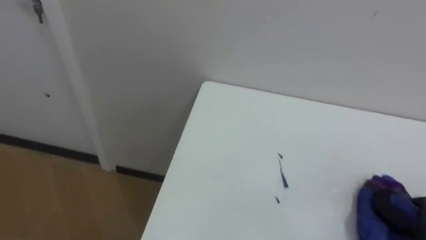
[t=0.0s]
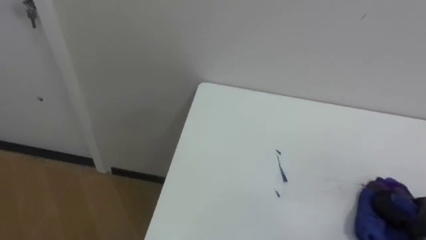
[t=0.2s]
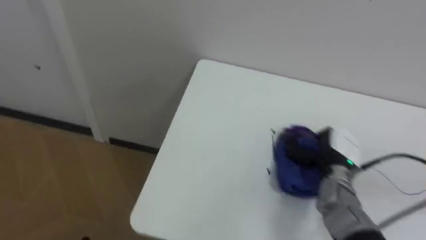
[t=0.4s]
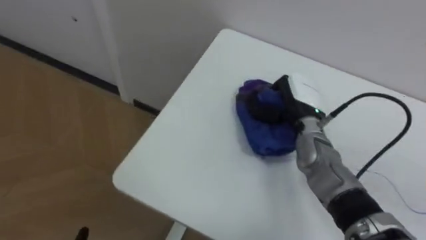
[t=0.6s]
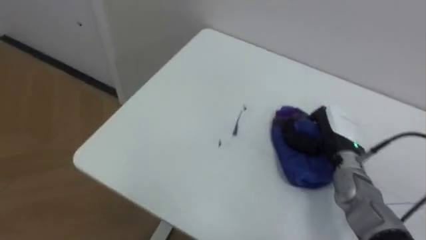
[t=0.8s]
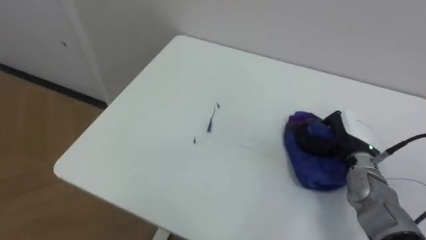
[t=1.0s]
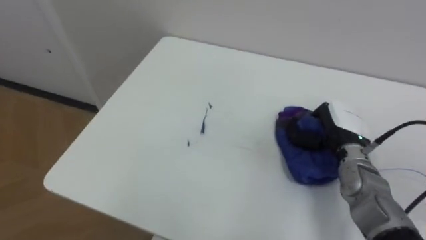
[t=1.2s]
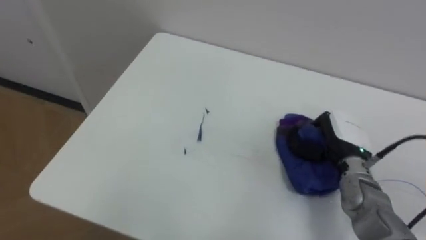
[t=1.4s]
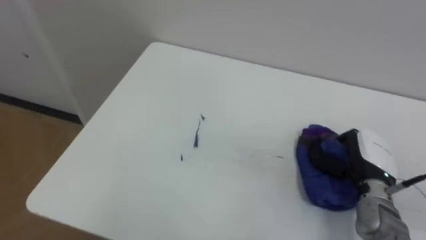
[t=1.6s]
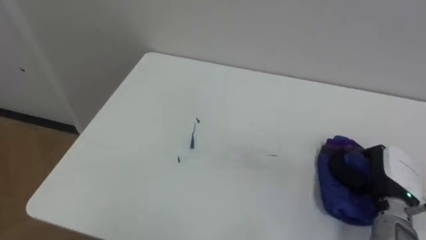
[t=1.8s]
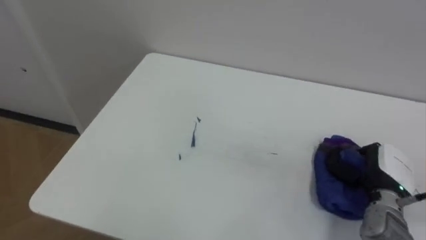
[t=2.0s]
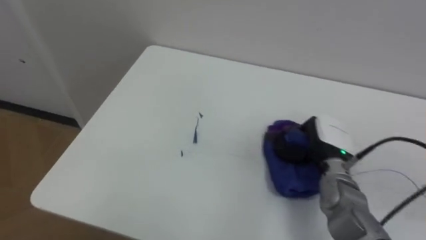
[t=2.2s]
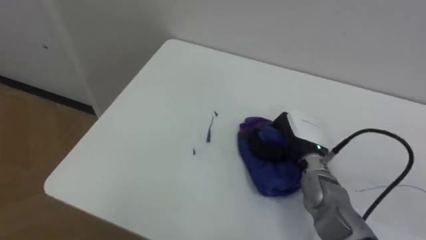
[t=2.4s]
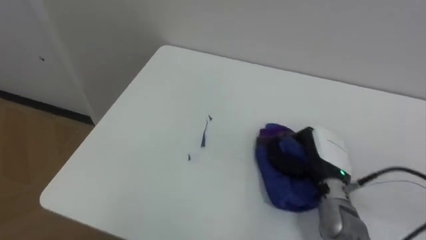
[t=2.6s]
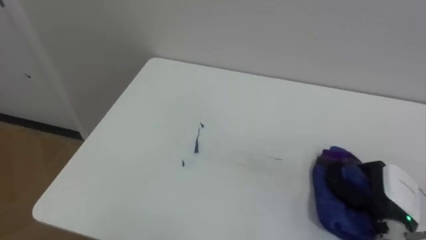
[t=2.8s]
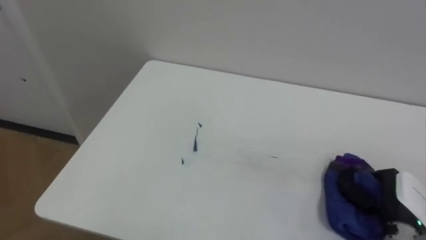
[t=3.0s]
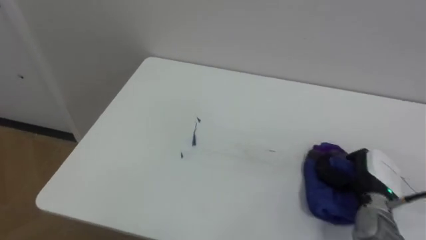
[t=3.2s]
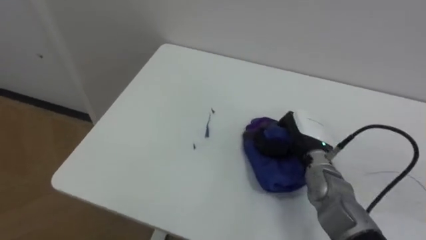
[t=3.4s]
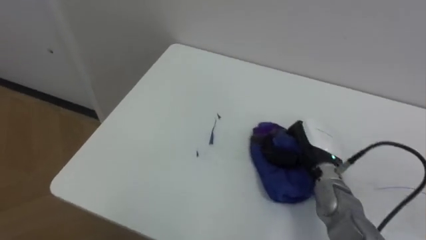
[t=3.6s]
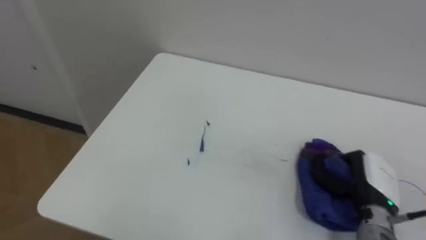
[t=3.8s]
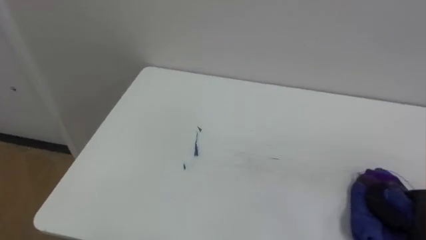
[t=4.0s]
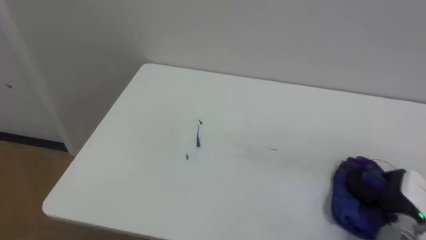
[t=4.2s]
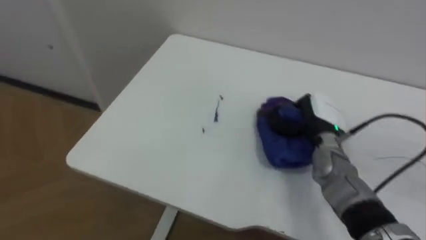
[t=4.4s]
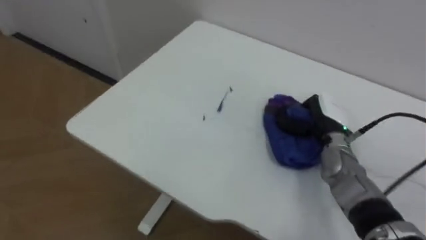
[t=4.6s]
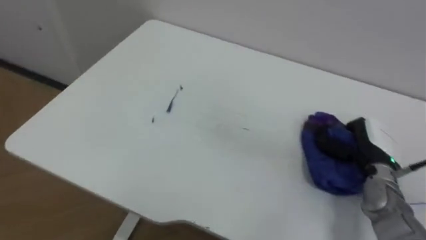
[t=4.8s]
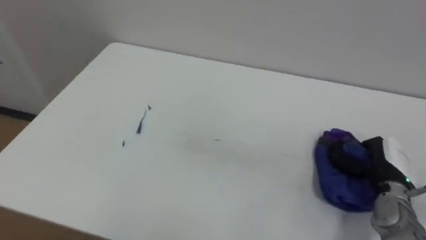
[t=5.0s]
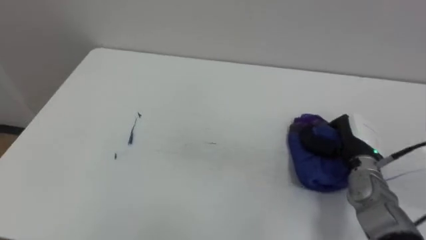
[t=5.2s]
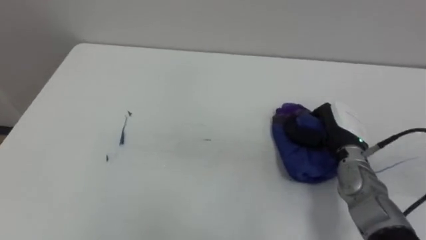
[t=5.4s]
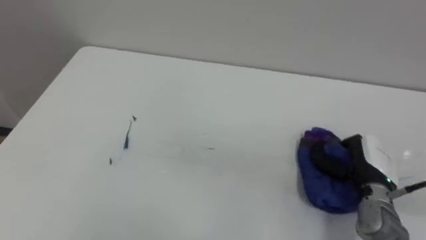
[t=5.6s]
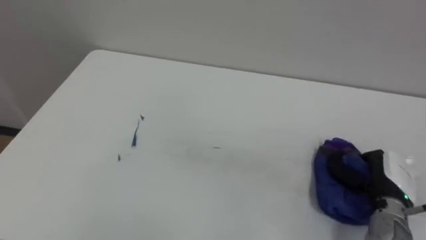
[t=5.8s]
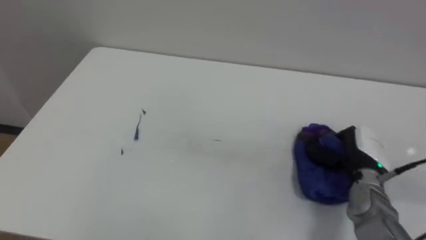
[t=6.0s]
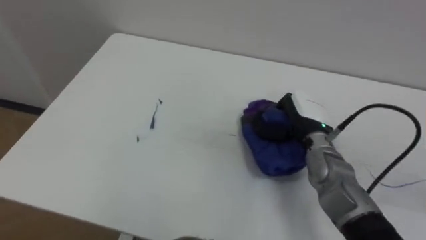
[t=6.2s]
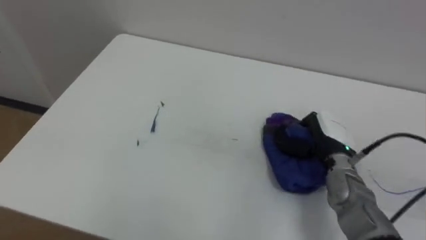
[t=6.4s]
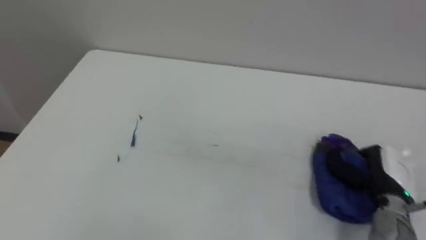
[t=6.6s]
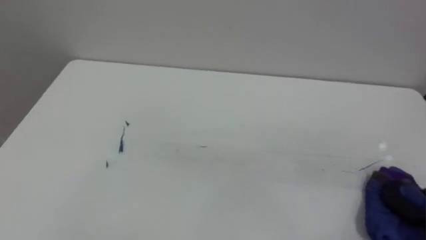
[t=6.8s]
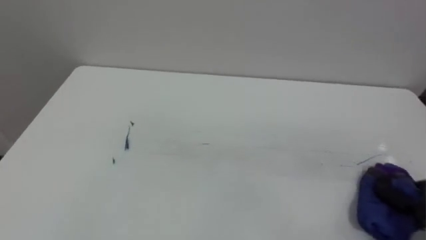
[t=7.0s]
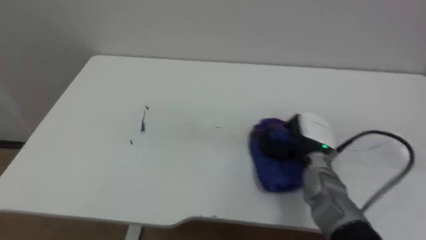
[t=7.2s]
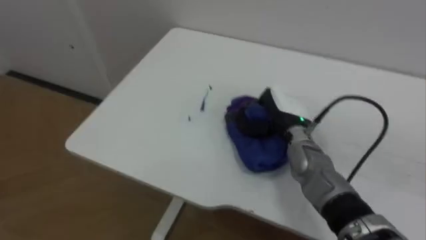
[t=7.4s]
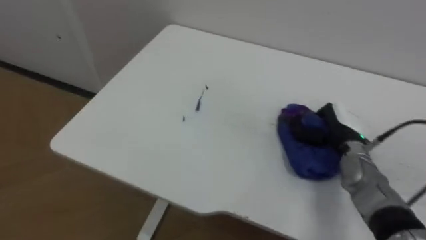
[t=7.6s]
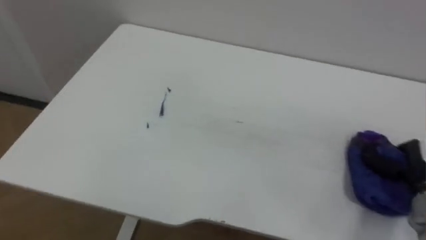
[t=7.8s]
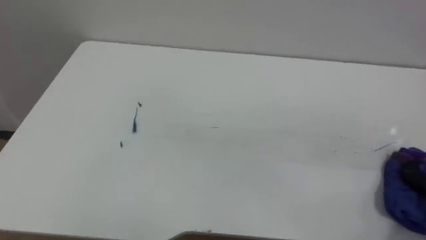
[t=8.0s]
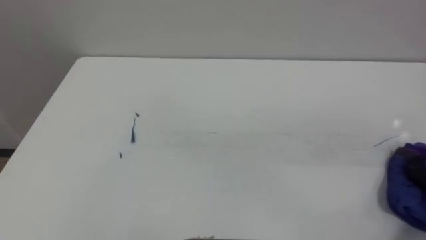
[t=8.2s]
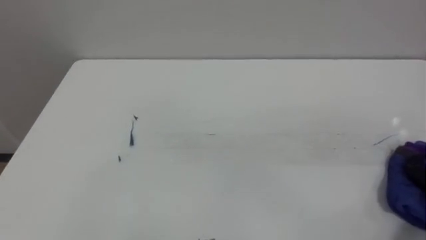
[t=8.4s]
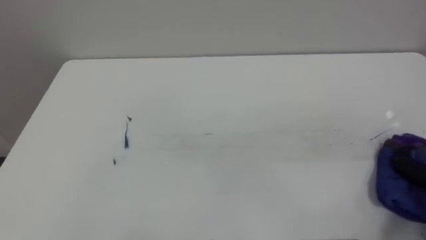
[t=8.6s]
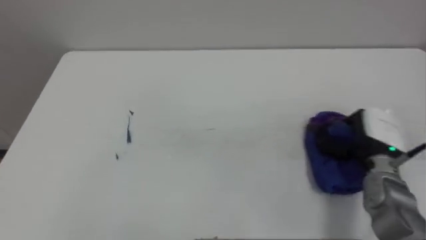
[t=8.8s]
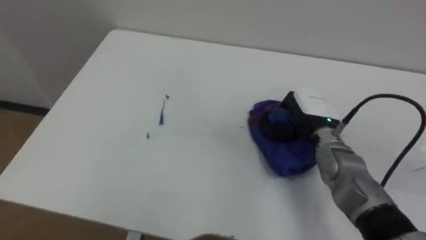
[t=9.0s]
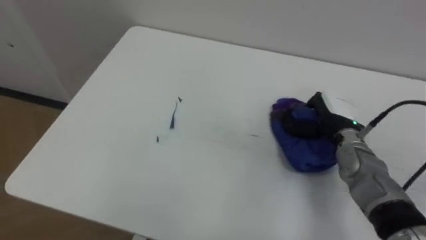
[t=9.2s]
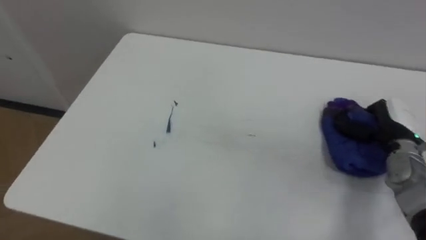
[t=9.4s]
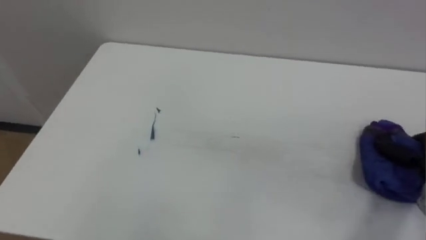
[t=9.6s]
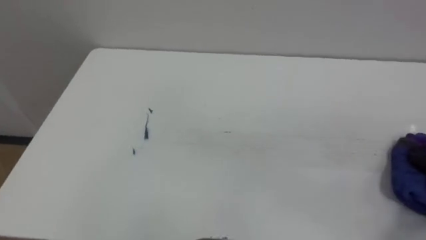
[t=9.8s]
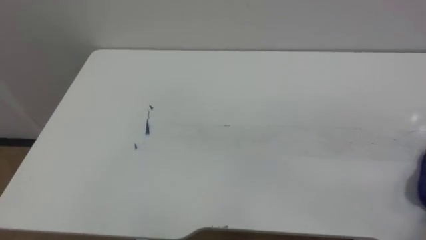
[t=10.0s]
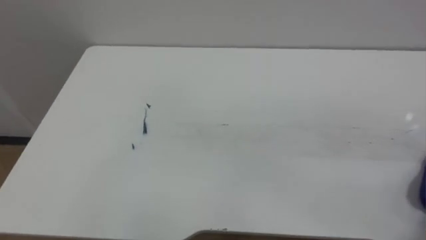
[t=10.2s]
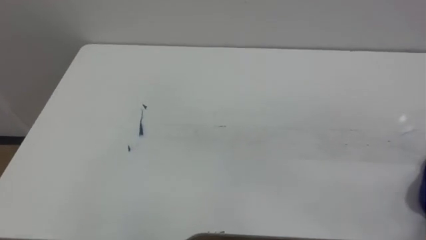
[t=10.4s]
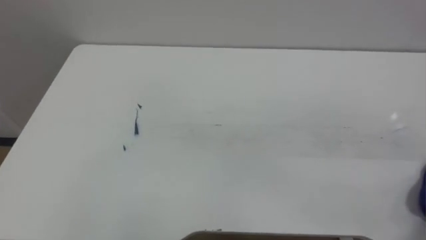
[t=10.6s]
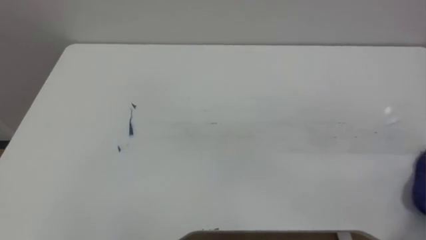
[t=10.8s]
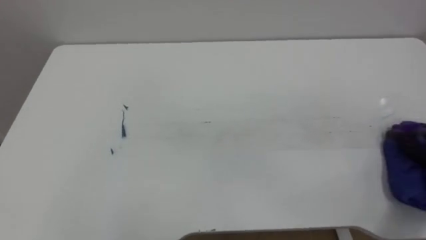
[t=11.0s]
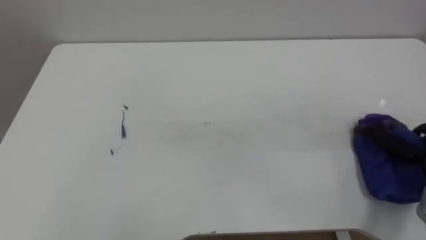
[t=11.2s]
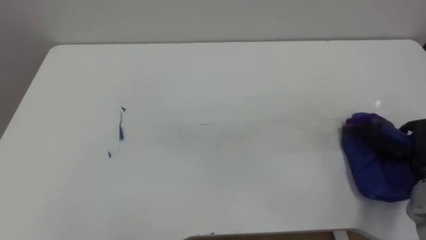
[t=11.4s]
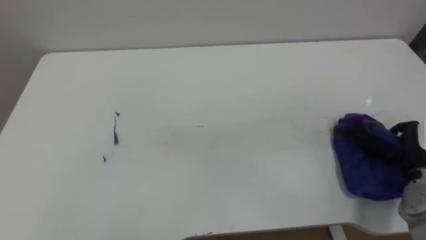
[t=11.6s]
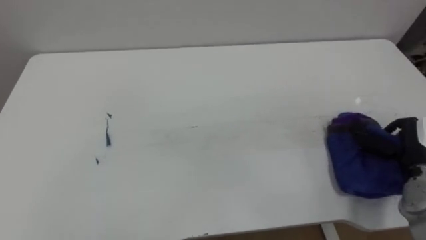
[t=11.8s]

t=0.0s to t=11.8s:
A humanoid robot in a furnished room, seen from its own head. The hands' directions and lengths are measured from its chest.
Task of the whole recording: Wipe the blue pen marks off the table with the rag.
t=1.4s to t=3.0s: The right hand moves left and right over approximately 15 cm, changing direction 2 times.
t=3.0s to t=4.4s: The right hand goes forward and backward, some 20 cm each way, reversing 2 times.
t=4.4s to t=6.0s: The right hand moves forward and backward over approximately 15 cm, changing direction 3 times.

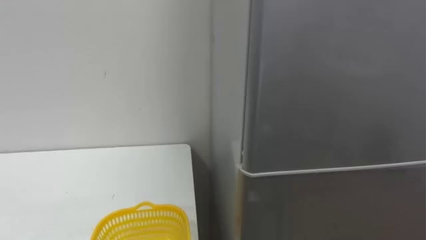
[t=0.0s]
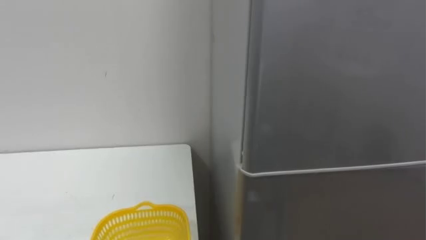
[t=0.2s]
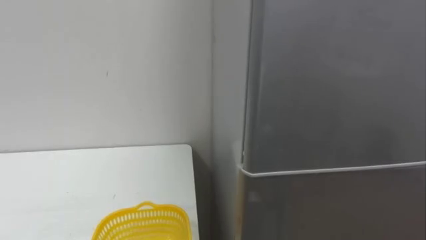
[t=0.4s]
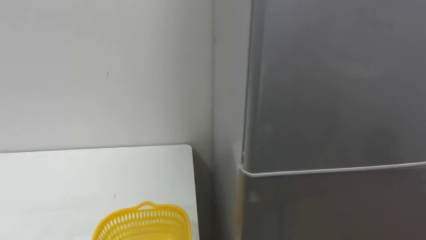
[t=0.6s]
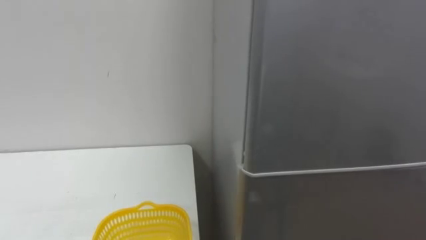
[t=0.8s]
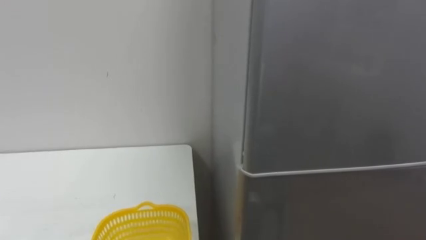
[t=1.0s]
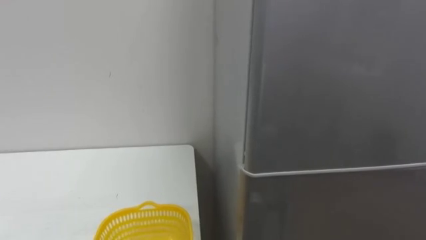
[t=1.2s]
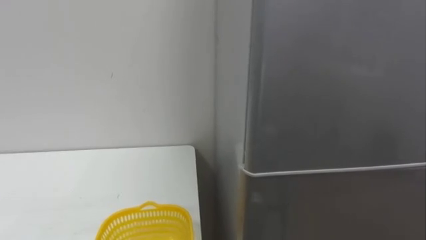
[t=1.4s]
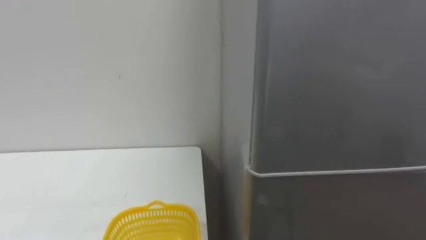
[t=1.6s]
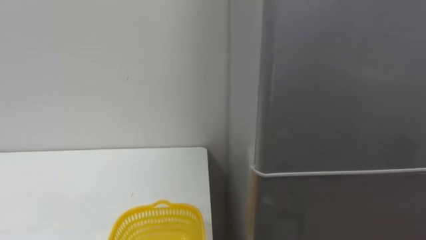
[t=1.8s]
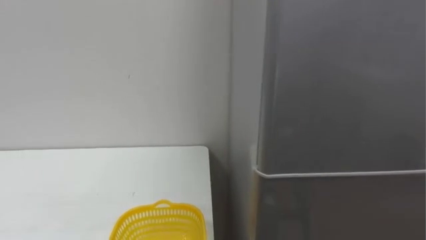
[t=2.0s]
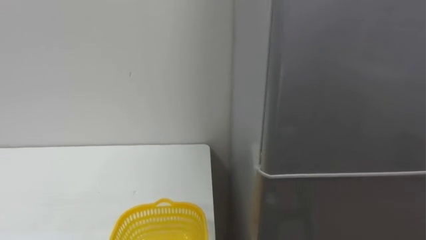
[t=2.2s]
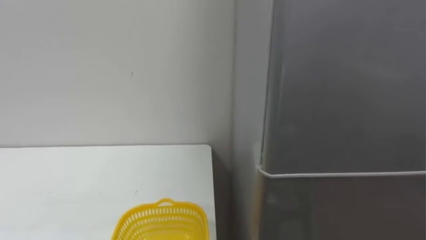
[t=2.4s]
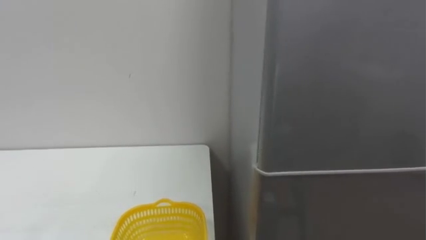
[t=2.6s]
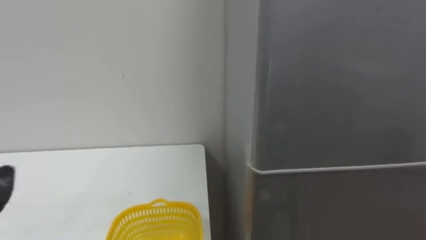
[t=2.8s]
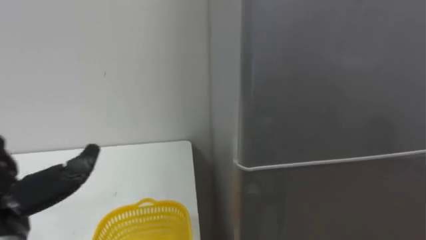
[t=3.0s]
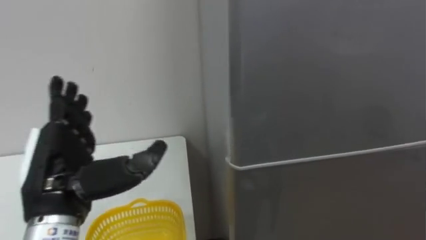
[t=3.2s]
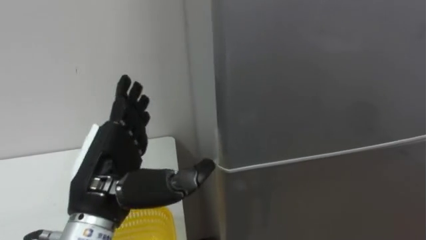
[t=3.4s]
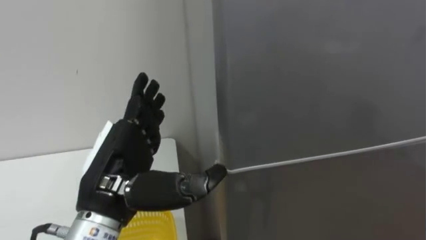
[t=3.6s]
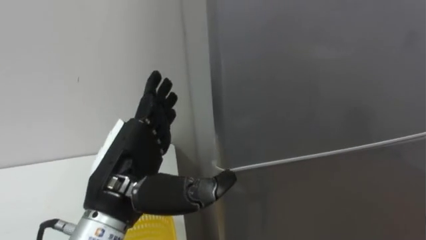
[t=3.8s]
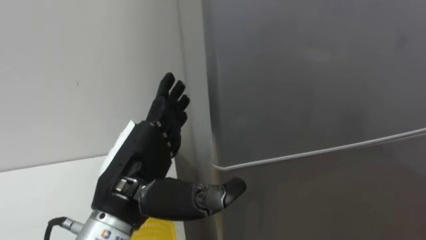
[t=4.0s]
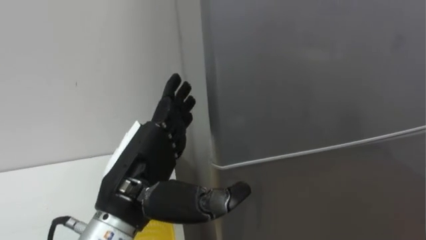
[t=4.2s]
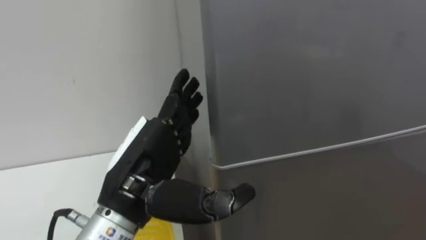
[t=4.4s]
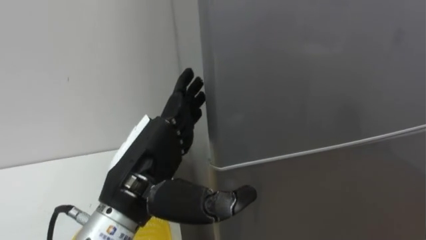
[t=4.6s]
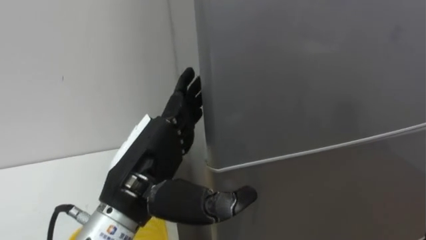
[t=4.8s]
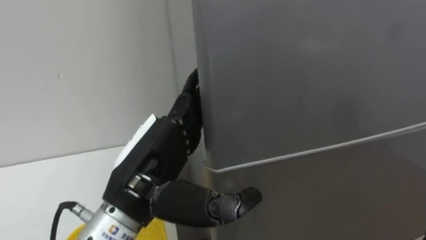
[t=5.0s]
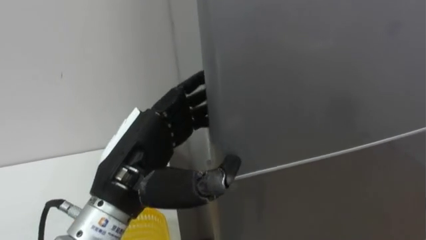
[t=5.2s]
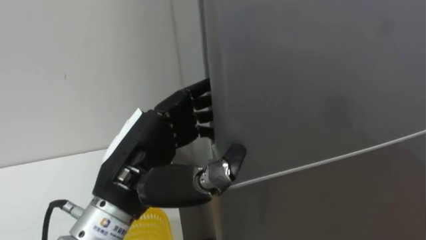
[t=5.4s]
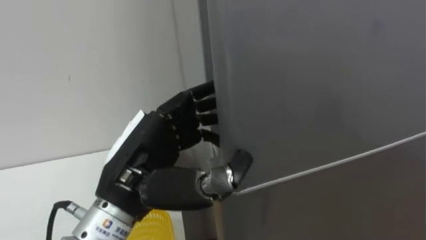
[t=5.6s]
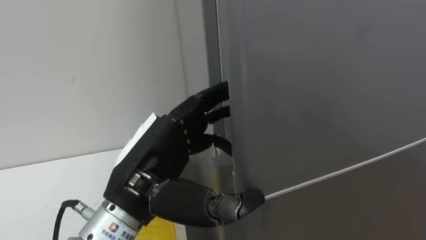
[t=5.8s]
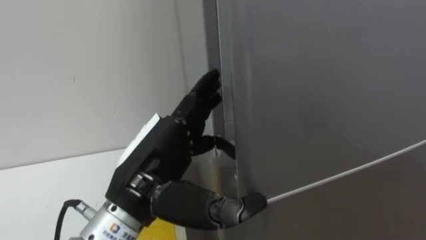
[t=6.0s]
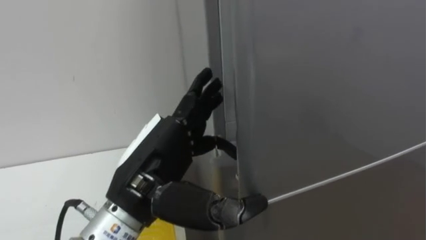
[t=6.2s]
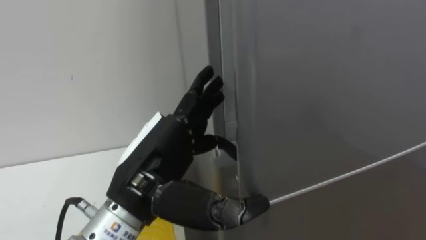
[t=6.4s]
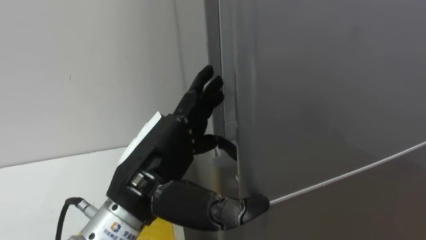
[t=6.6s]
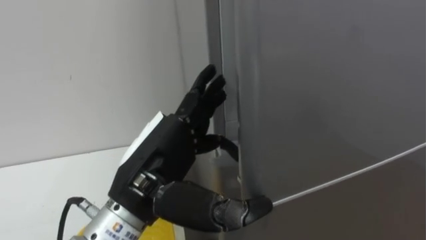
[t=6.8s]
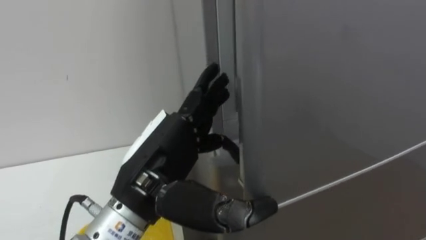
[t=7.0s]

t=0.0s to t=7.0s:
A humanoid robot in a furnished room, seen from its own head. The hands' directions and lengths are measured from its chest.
Task of the whole recording: Open the refrigerator door, take out the apple and the pomegranate, place them in the fruit basket on the left, and close the refrigerator door.
t=4.2s to t=5.6s: The left hand closes.
t=5.6s to t=7.0s: The left hand opens up.
